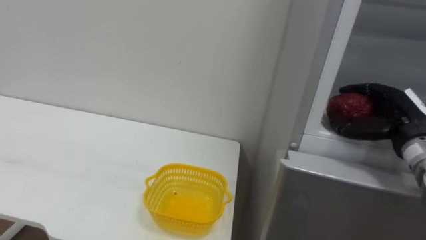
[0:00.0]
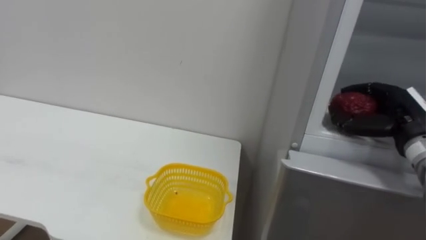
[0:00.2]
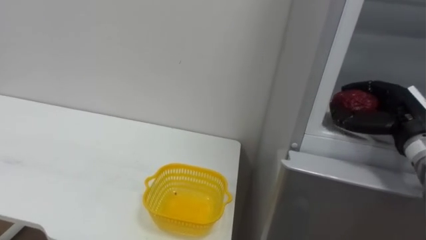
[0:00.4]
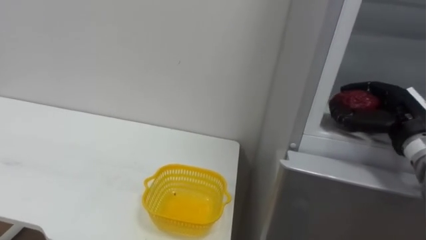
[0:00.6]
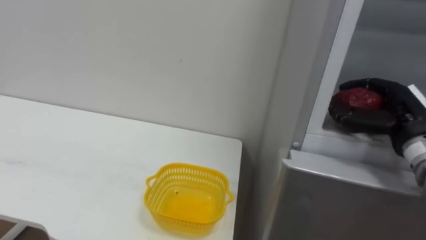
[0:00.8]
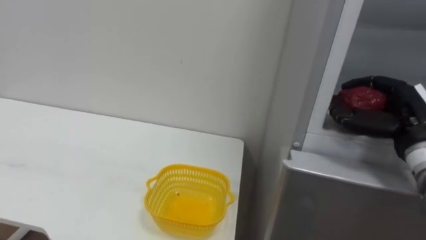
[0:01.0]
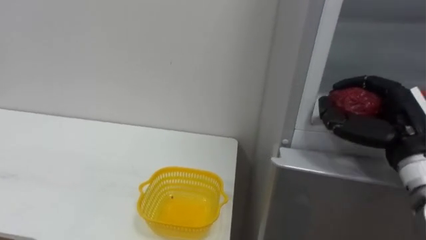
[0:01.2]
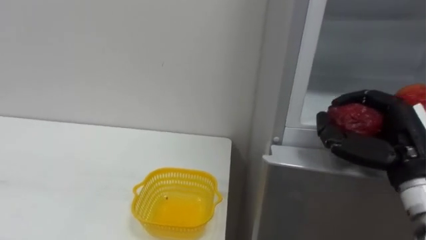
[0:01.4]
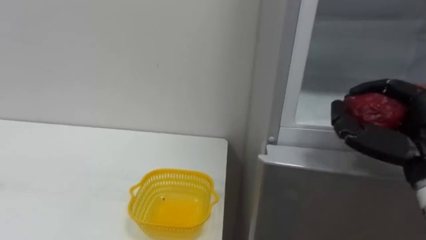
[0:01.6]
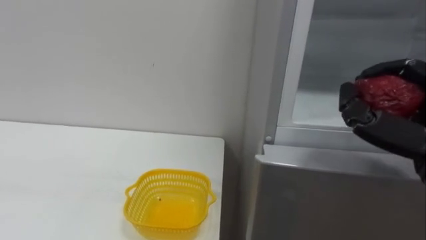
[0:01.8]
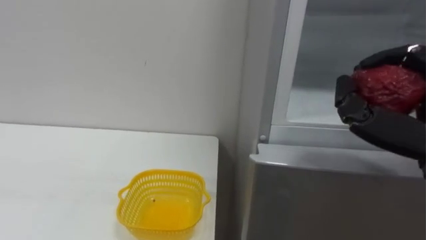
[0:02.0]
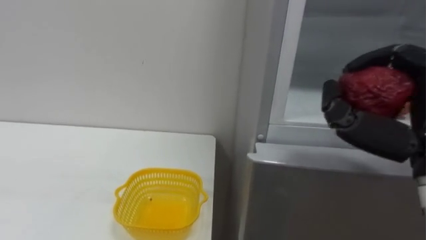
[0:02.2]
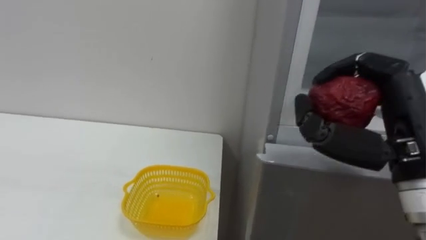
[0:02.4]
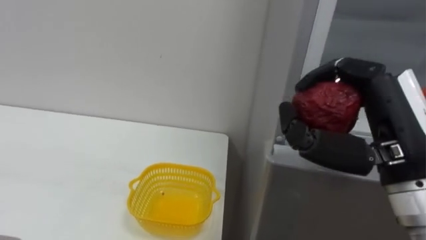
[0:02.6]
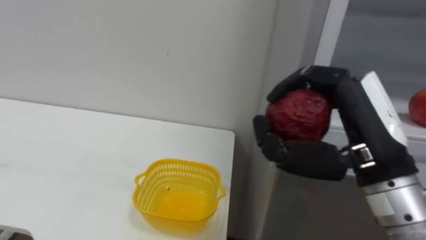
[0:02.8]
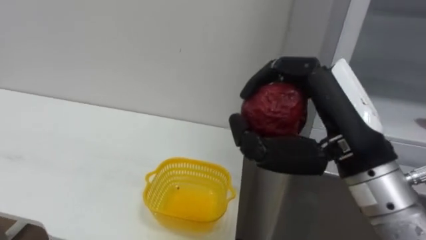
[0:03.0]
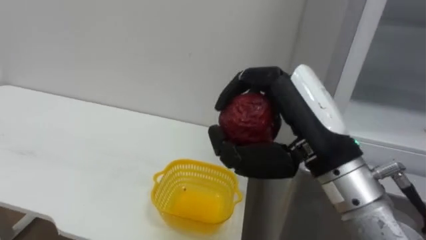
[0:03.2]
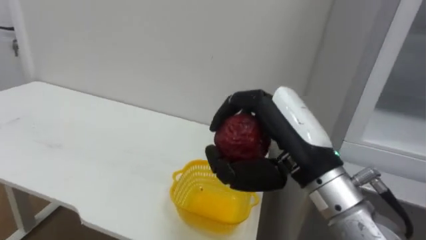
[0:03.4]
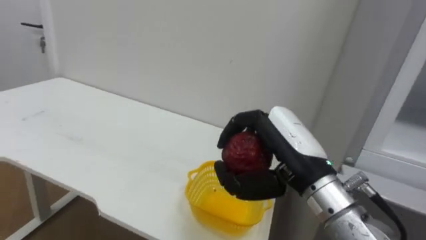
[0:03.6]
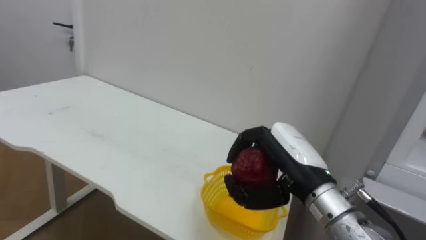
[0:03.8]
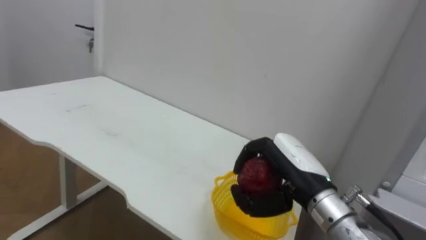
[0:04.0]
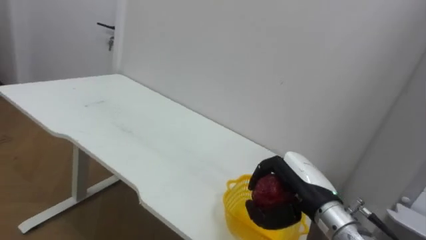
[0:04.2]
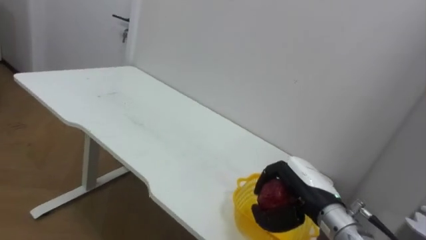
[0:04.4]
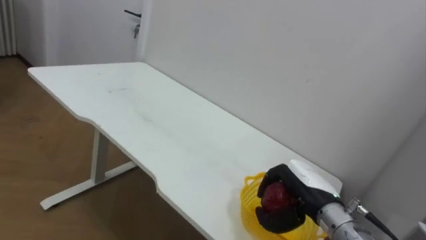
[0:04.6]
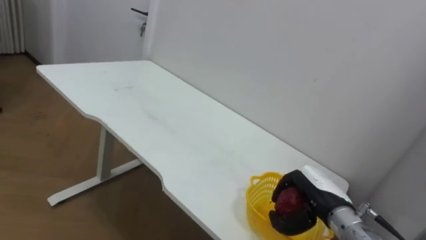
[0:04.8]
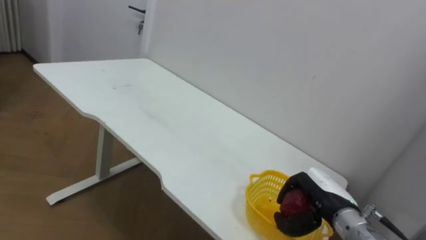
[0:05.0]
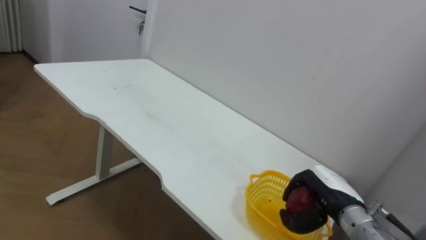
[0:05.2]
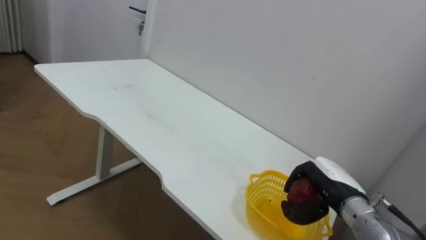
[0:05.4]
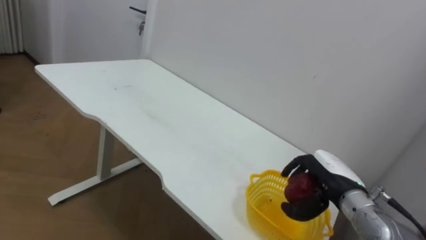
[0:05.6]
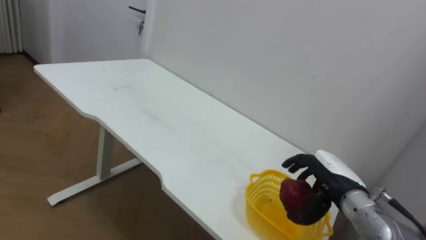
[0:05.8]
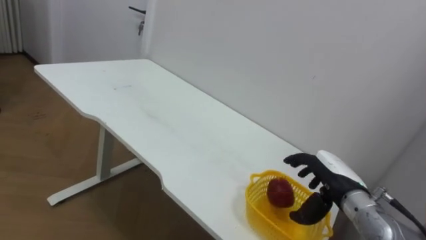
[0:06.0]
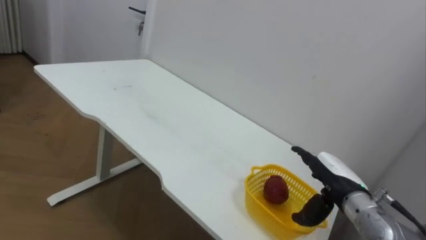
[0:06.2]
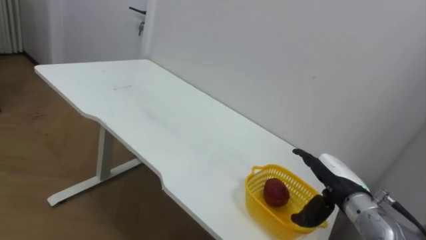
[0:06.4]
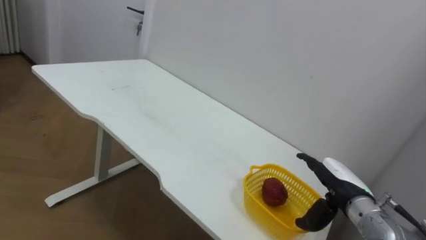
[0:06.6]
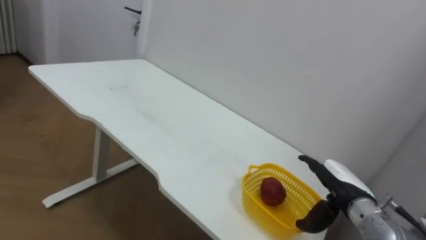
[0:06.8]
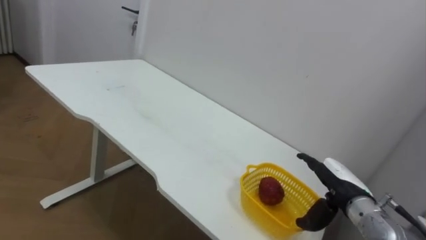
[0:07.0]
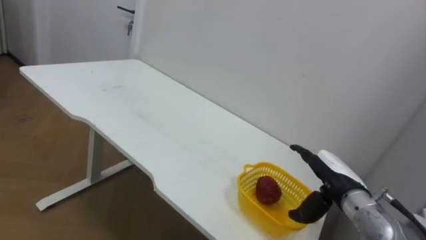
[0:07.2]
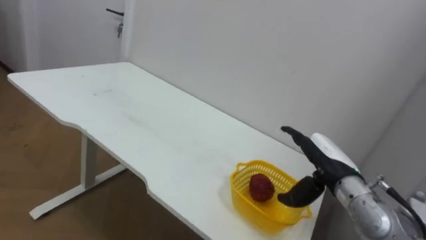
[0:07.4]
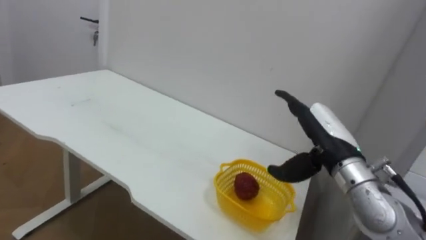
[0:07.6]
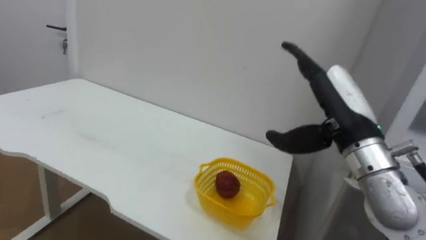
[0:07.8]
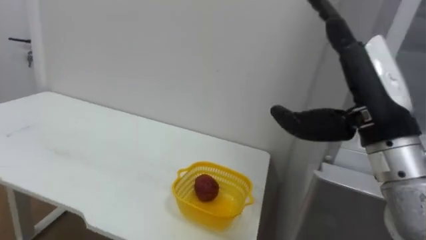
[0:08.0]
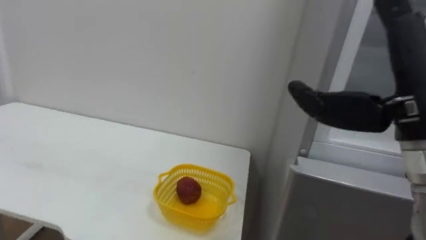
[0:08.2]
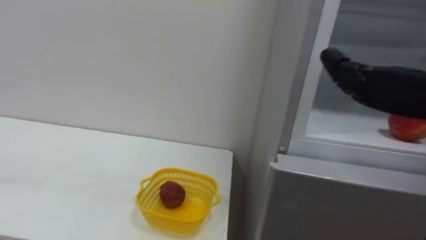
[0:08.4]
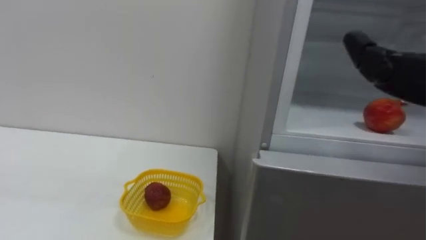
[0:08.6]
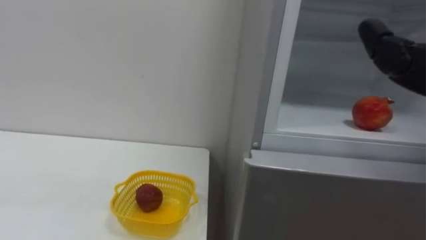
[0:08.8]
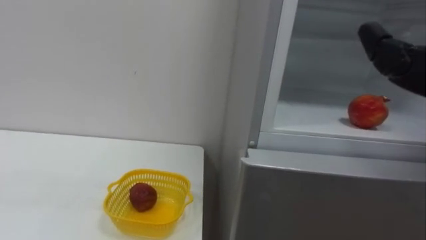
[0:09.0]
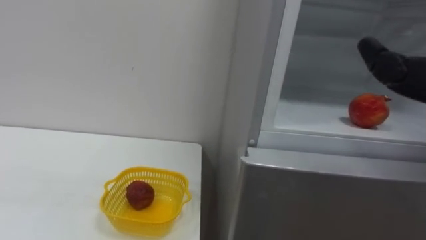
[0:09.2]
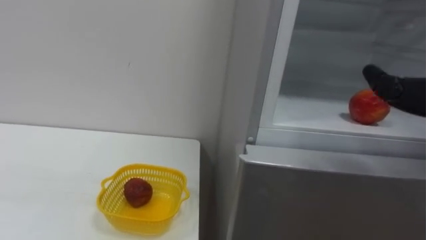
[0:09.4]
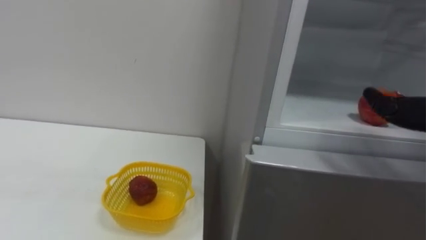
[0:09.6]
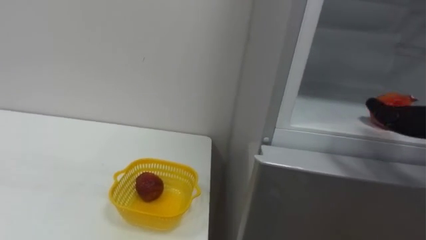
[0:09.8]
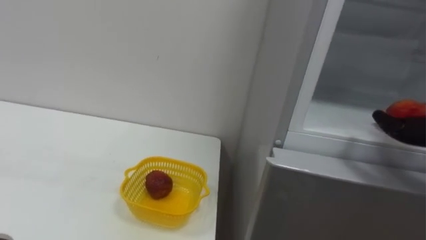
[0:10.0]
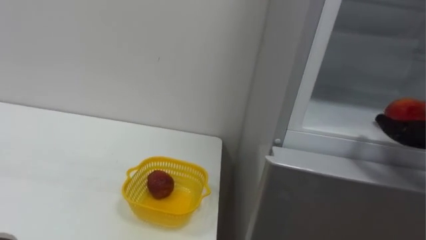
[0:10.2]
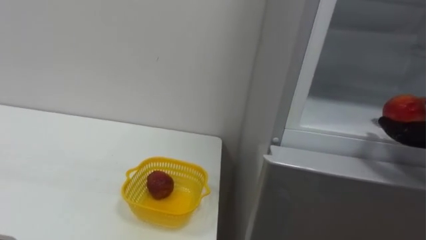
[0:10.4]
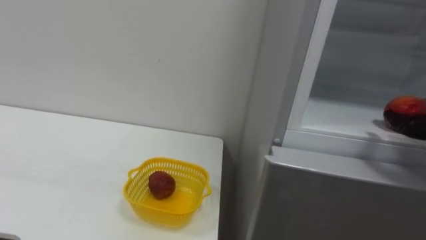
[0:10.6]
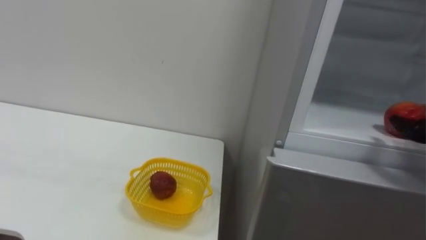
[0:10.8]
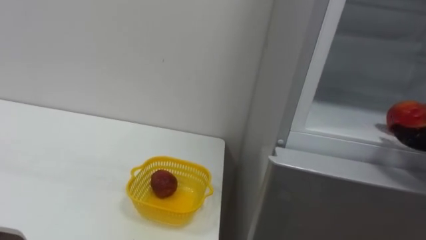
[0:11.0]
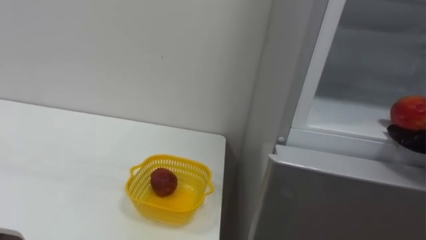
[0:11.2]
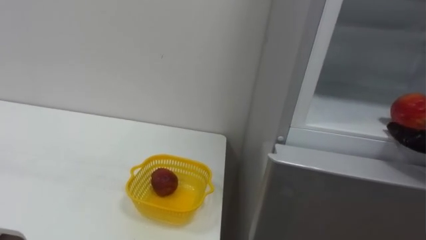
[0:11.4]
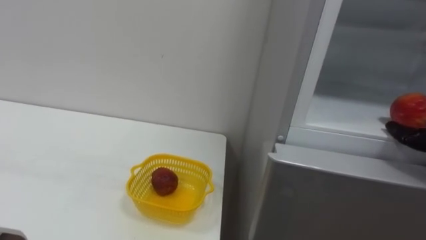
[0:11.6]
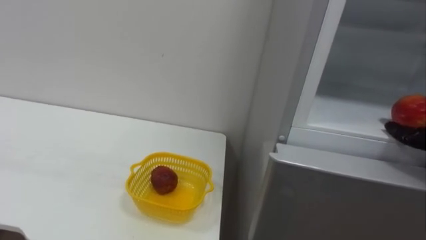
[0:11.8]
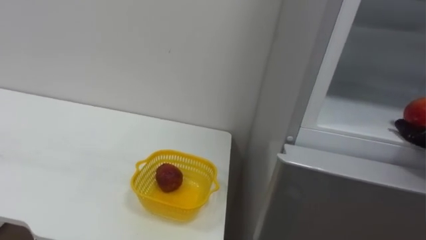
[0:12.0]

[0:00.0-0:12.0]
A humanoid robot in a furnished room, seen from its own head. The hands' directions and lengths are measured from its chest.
Task of the whole recording: Open the refrigerator door, take out the apple and the pomegranate, place them in the fruit basket on the left, and close the refrigerator door.
0:00.0 to 0:01.6: The right hand moves backward, some 10 cm.
0:03.0 to 0:04.4: The right hand is displaced downward and forward by roughly 20 cm.
0:04.4 to 0:06.0: The right hand heads to the right, covering approximately 5 cm, and opens its fingers.
0:06.0 to 0:07.6: The right hand moves upward, about 10 cm.

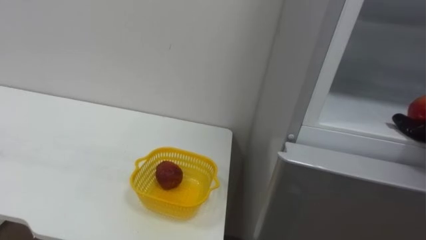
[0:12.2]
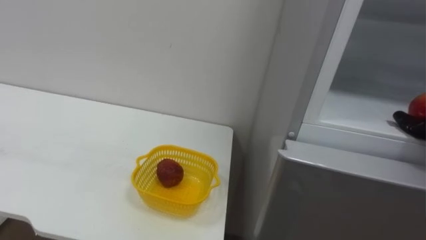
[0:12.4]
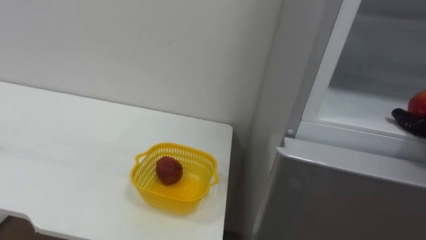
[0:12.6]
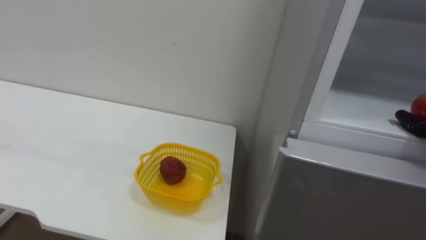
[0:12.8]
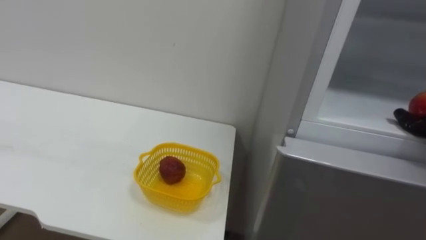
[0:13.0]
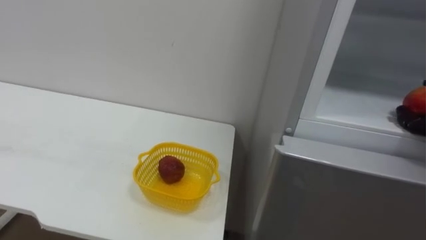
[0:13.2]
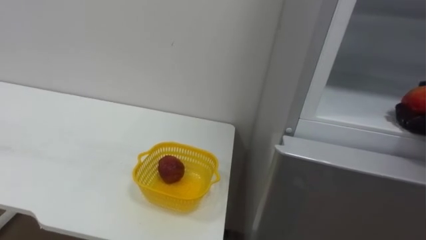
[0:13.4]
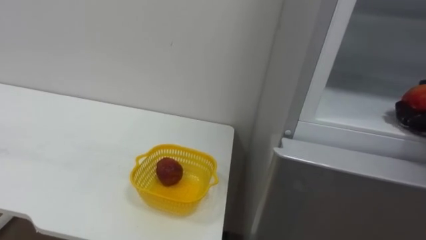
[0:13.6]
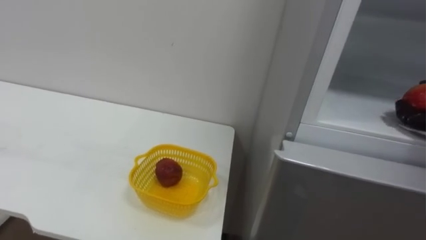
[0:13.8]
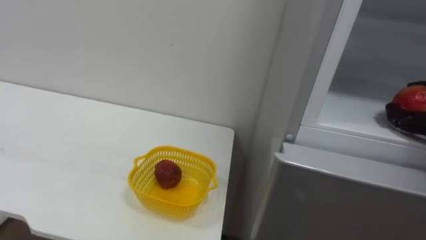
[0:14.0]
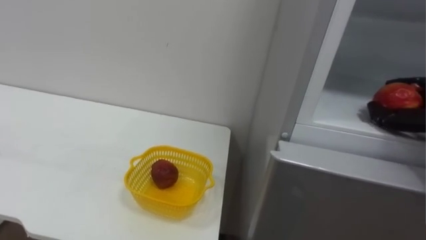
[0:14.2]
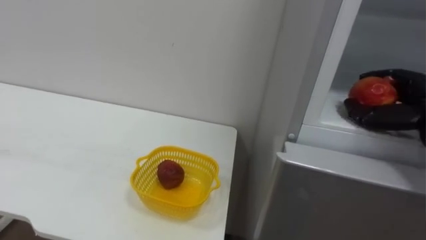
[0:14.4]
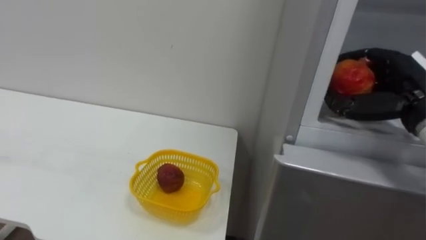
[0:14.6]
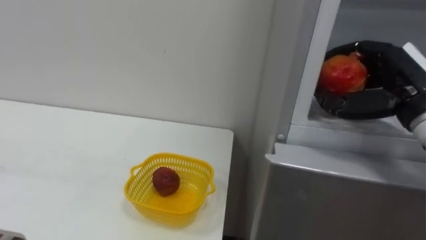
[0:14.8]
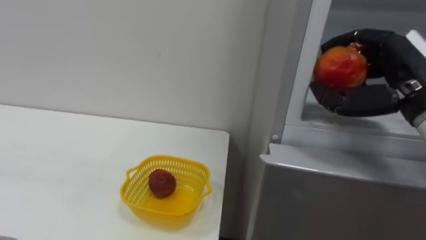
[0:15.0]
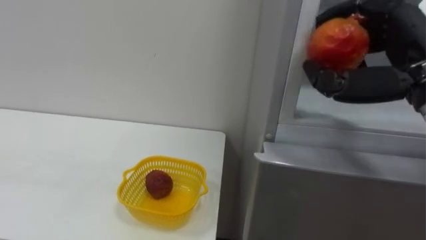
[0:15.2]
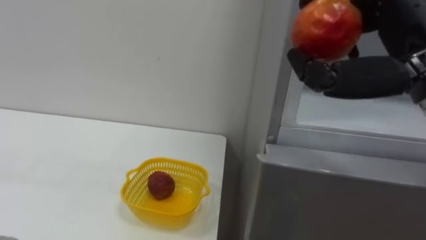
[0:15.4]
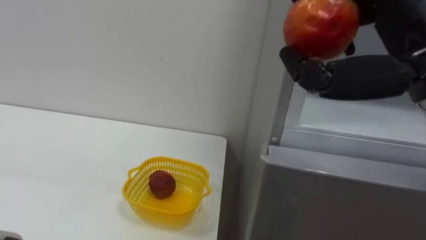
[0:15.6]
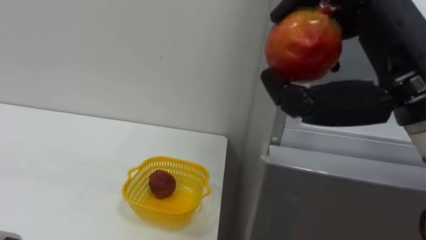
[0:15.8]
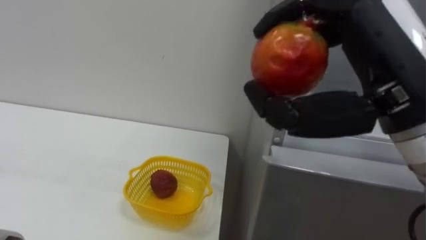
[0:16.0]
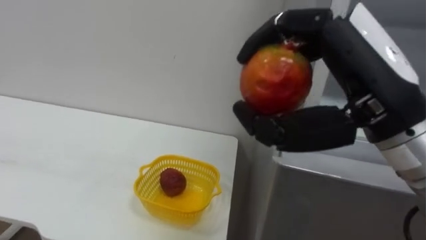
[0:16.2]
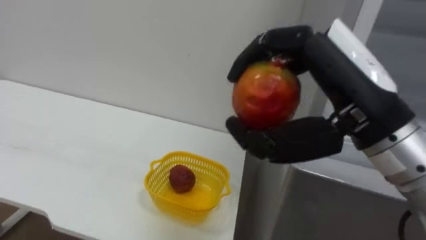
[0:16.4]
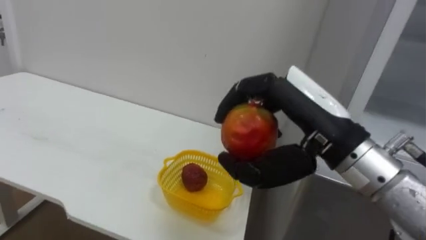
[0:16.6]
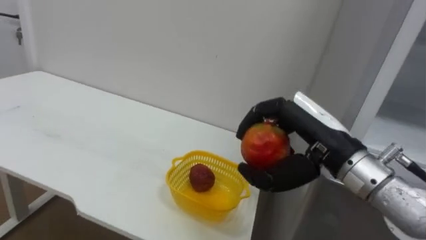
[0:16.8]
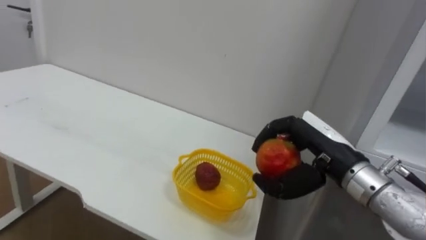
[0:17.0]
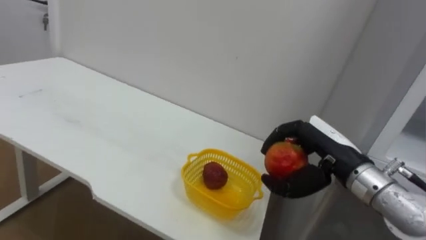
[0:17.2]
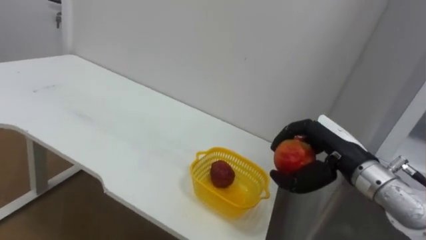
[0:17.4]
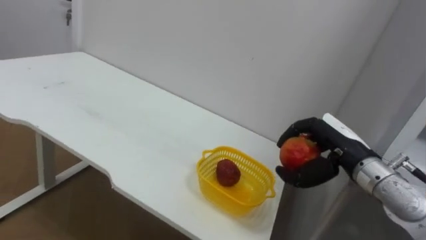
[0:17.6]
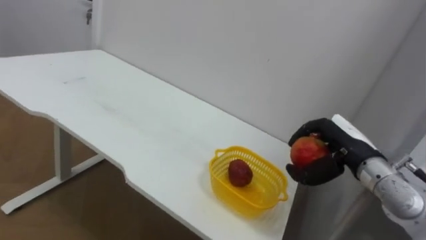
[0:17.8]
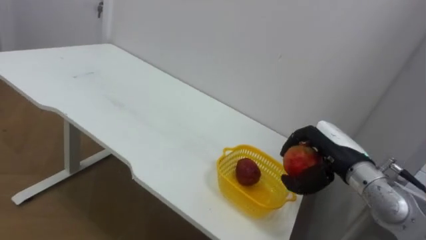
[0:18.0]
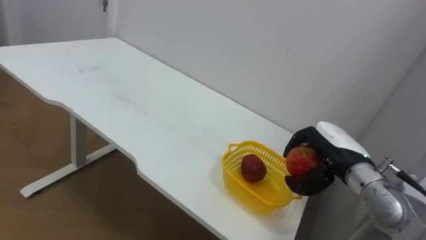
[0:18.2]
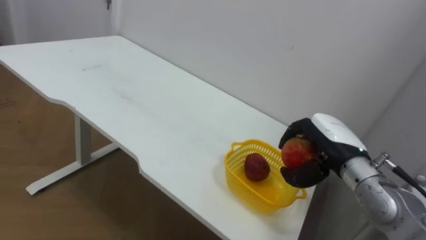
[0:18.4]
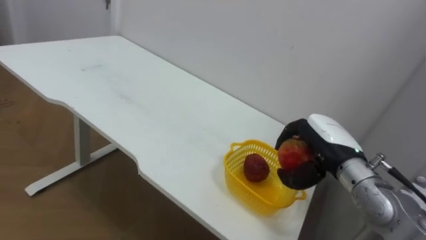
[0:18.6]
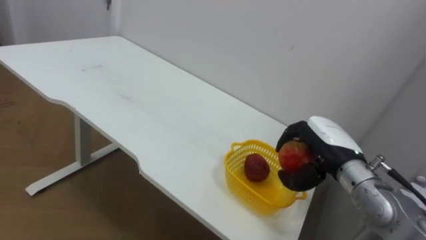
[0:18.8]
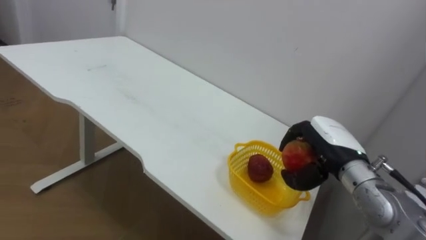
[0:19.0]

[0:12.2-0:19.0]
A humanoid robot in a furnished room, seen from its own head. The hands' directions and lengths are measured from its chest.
Task of the whole recording: Open the refrigerator door, take out the apple and the pomegranate, place them in the fruit basket on the left, and close the refrigerator door.
0:15.0 to 0:16.2: The right hand is displaced to the left and backward by roughly 15 cm.
0:16.2 to 0:17.6: The right hand goes approximately 20 cm downward and forward.
